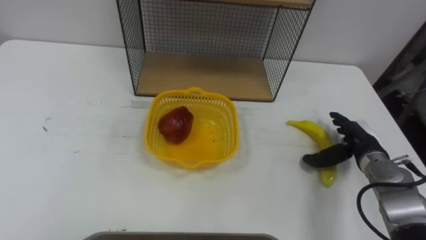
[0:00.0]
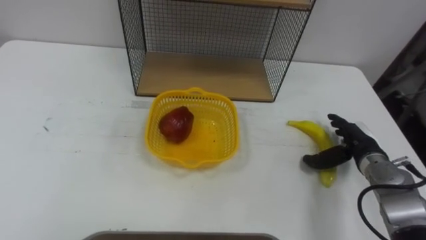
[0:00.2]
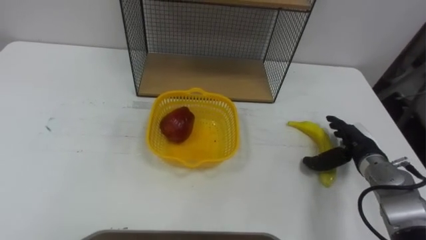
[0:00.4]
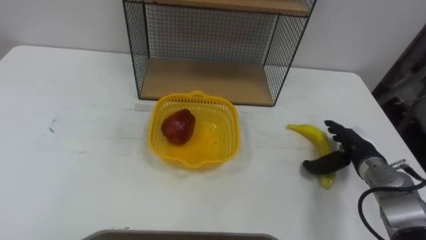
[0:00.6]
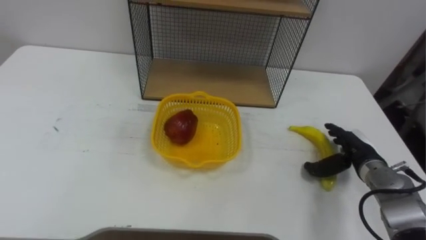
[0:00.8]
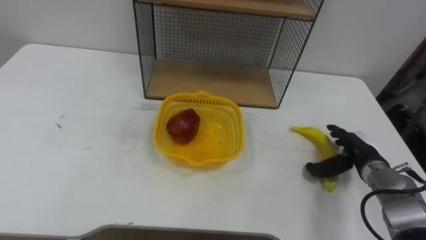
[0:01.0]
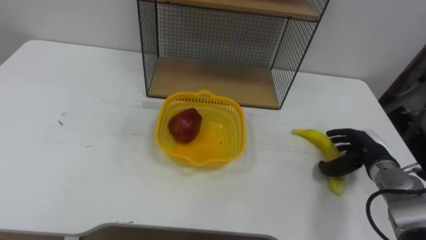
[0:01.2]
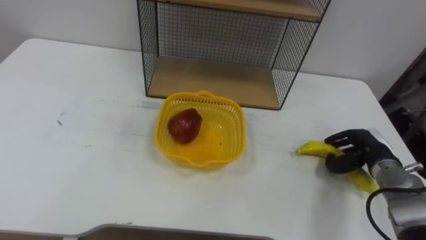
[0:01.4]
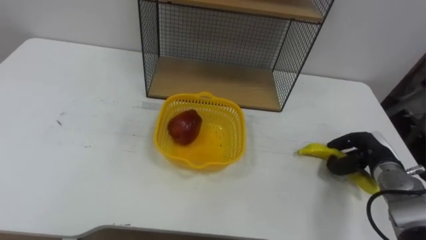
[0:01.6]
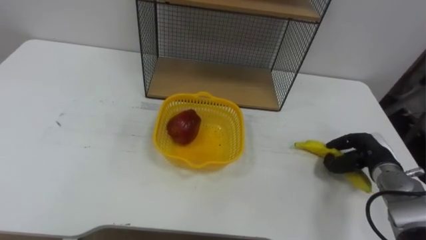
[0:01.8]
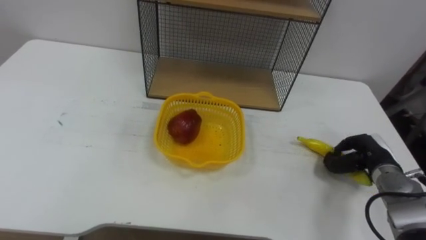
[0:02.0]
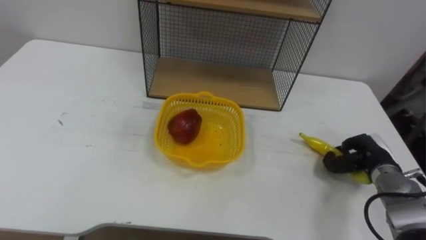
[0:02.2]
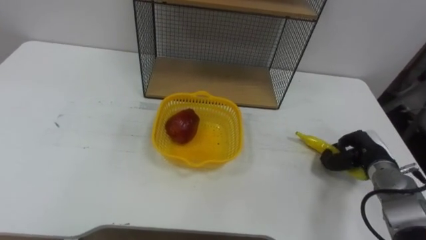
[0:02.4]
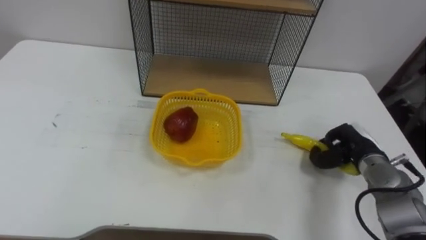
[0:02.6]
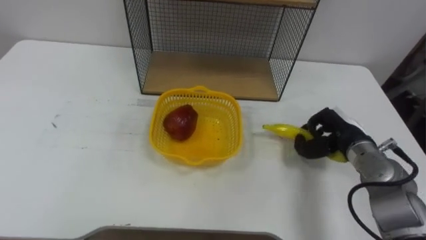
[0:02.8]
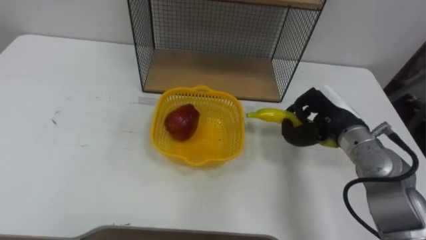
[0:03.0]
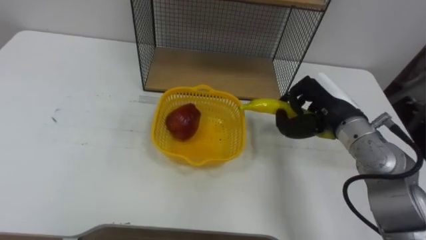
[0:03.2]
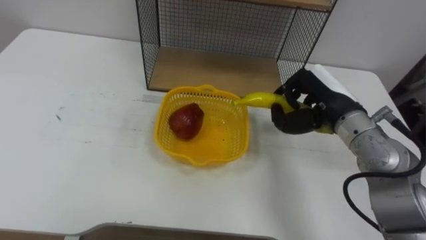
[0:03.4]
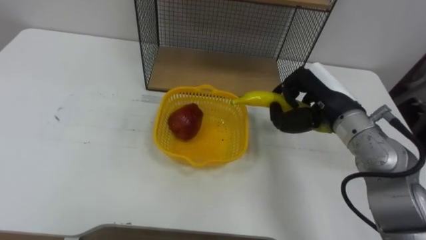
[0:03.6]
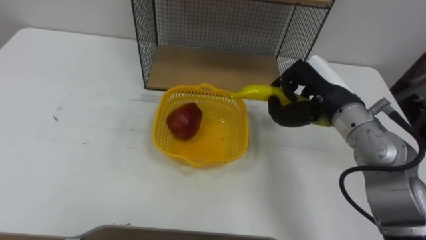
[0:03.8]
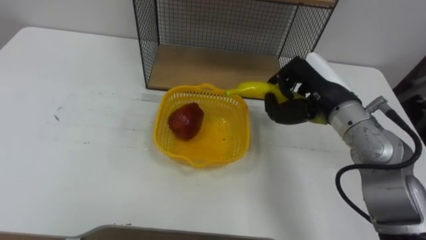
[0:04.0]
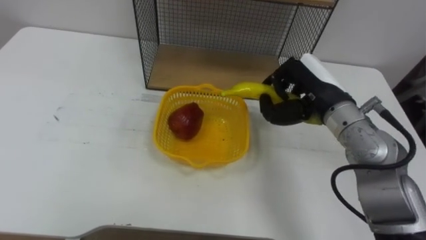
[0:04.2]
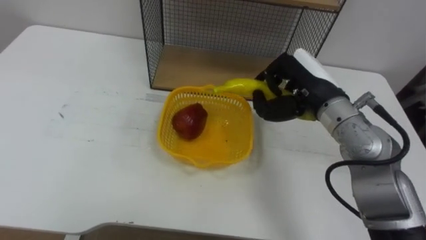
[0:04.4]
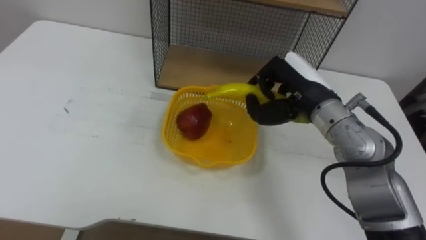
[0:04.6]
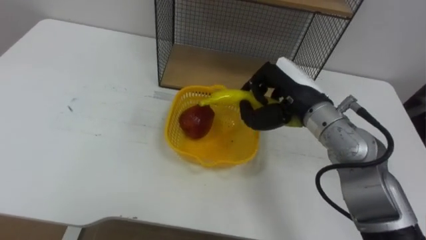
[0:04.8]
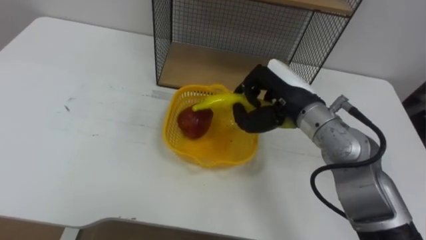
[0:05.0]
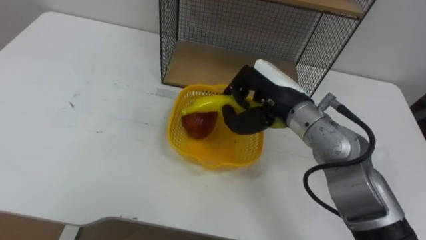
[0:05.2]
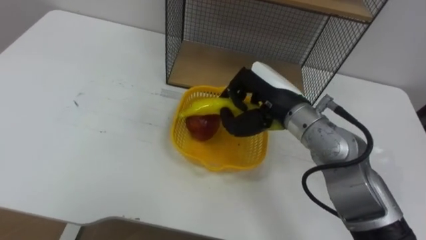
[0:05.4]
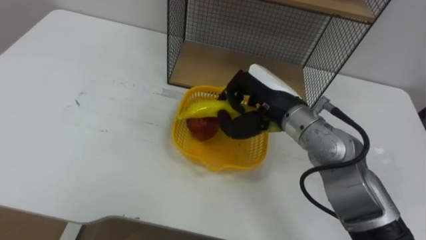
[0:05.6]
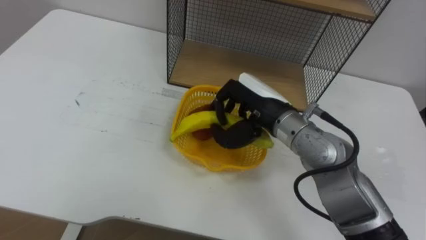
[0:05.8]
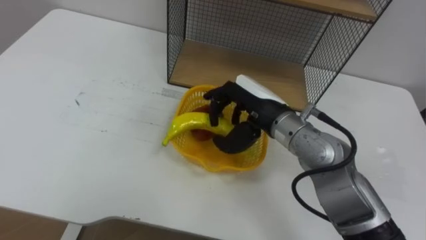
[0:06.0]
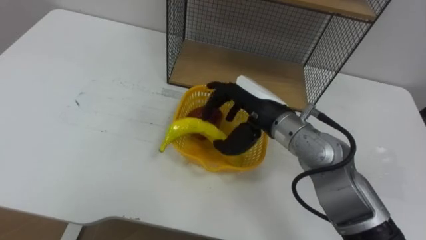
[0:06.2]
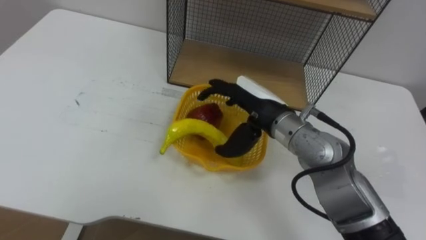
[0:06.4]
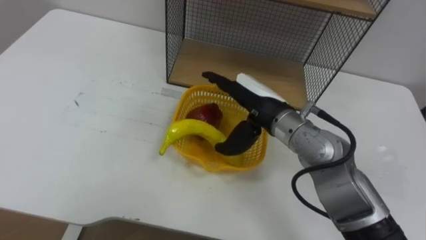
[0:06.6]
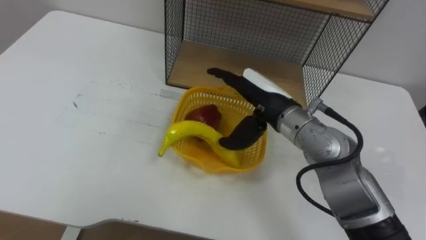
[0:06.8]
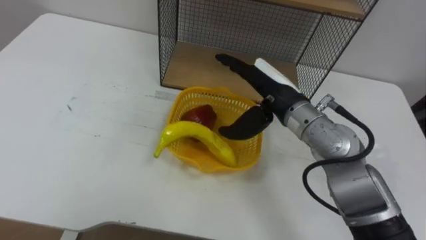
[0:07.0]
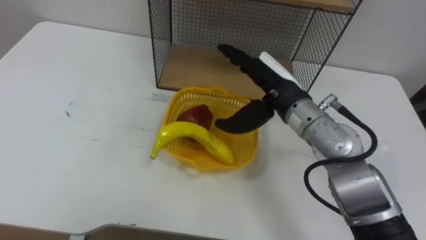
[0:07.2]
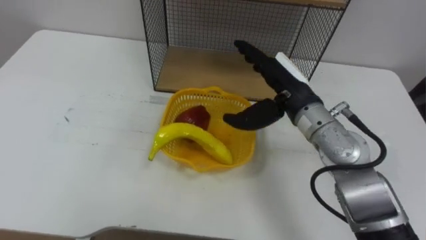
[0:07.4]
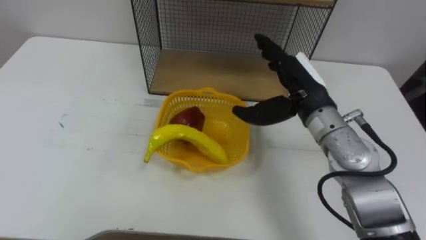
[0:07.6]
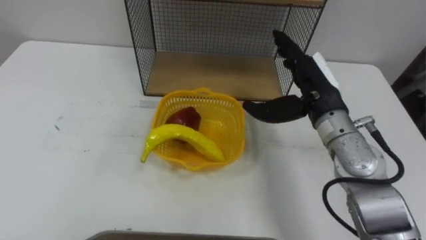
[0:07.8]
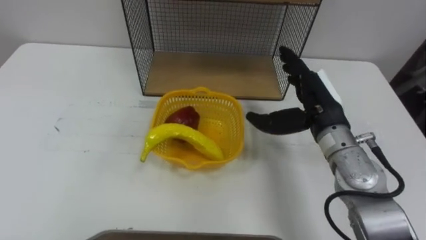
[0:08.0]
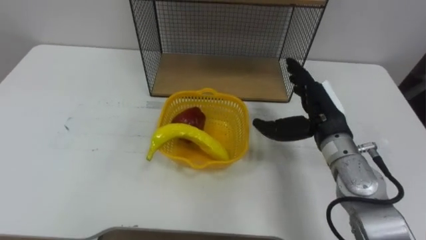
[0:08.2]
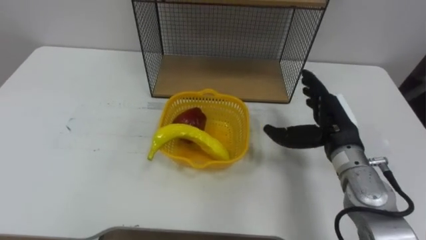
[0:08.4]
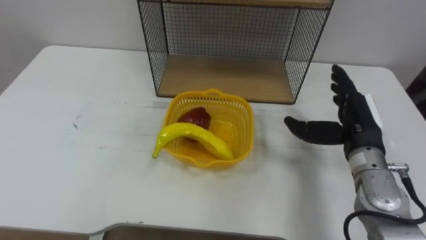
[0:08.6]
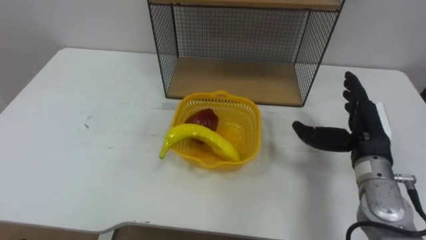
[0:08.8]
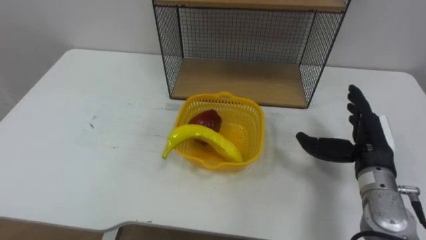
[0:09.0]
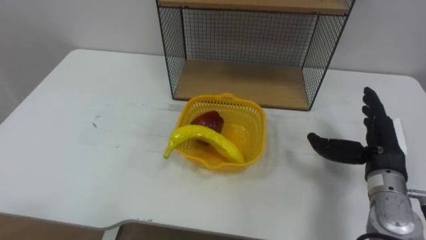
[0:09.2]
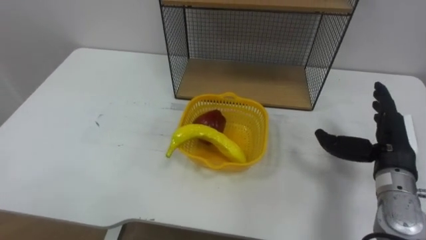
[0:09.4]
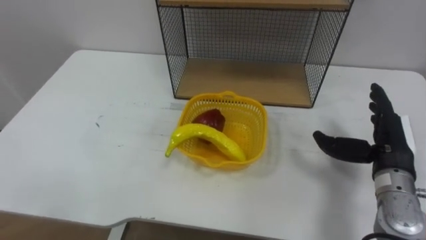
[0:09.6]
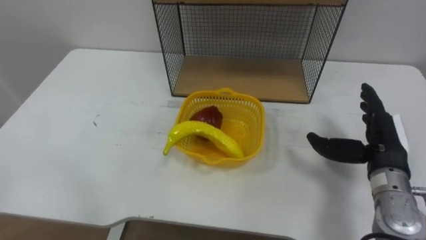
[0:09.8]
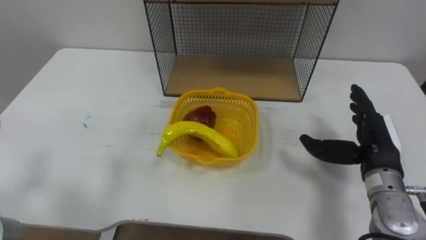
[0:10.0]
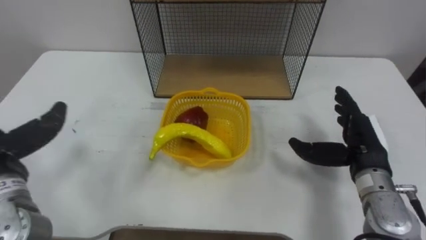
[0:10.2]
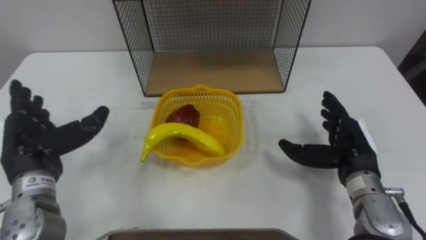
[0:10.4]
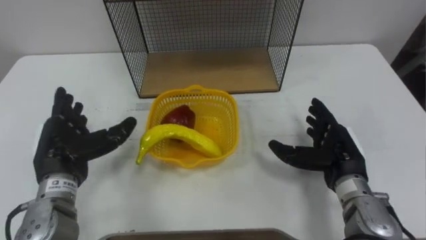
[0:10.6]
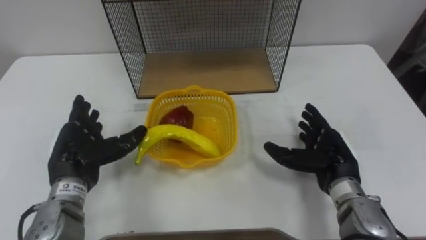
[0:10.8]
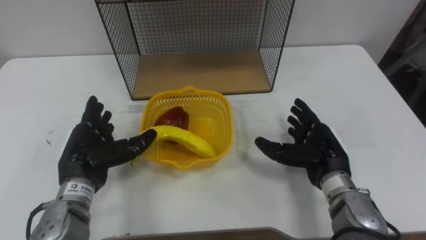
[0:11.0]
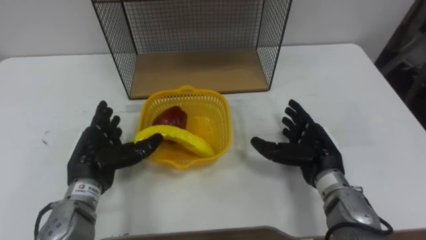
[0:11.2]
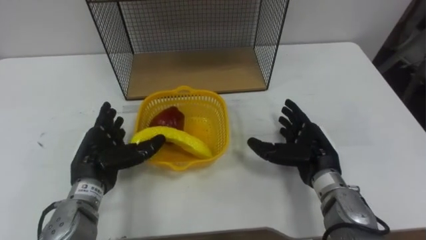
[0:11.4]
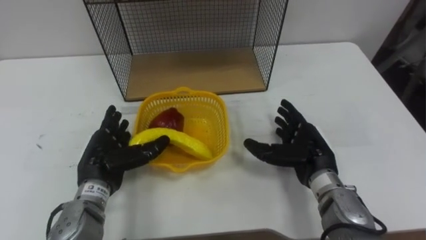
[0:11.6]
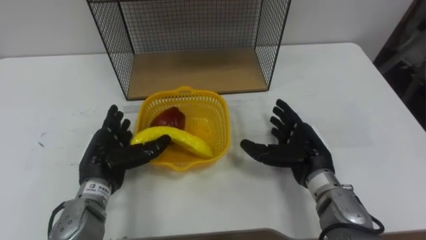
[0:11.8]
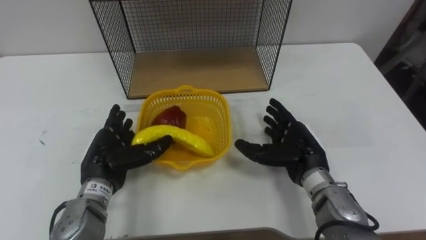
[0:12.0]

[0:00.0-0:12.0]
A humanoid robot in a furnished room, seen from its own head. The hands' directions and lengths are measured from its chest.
Task of the whole recording: Put the fruit on the table into the basket, then place the basket on the shelf.
0:00.0 to 0:01.6: The right hand closes.
0:01.6 to 0:03.0: The right hand heads upward and to the left, covering some 15 cm.
0:03.0 to 0:04.4: The right hand moves upward and to the left, some 10 cm.
0:04.4 to 0:06.0: The right hand heads to the left, covering approximately 10 cm.
0:06.0 to 0:07.6: The right hand is displaced to the right by roughly 5 cm, and opens up.
0:07.6 to 0:09.0: The right hand moves to the right, downward and backward, about 15 cm.
0:10.4 to 0:12.0: The right hand moves to the left, approximately 10 cm, while the left hand heads to the right and downward, covering about 10 cm.

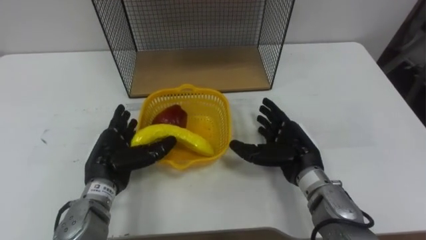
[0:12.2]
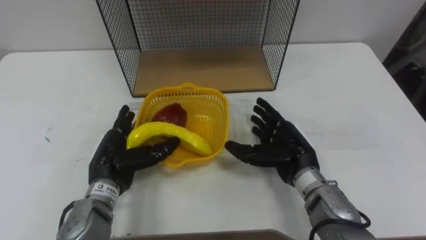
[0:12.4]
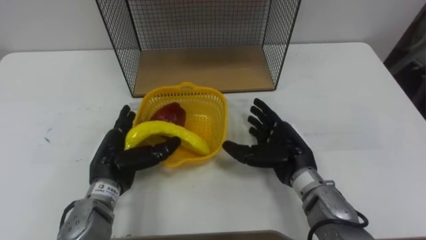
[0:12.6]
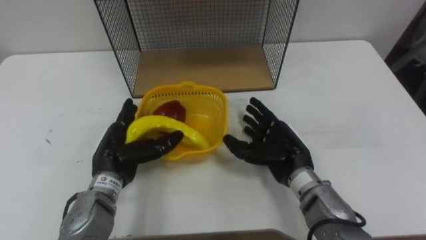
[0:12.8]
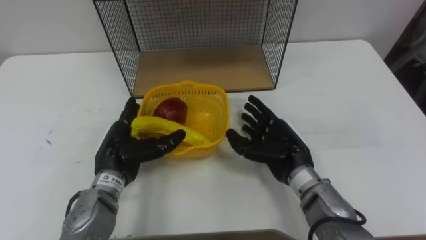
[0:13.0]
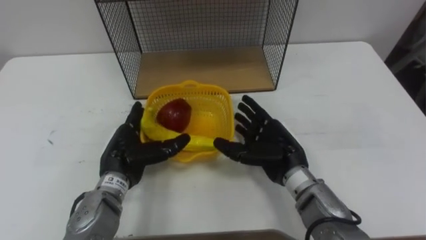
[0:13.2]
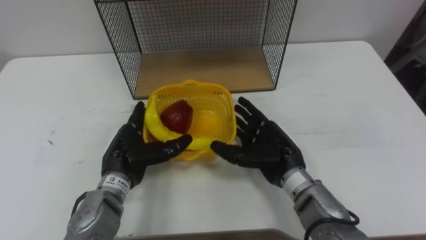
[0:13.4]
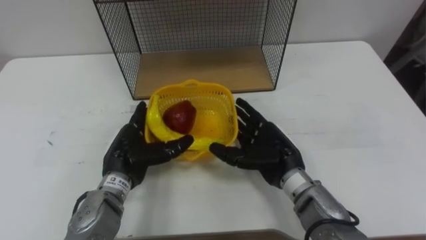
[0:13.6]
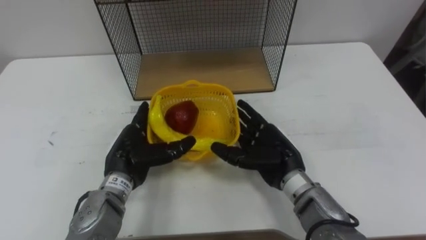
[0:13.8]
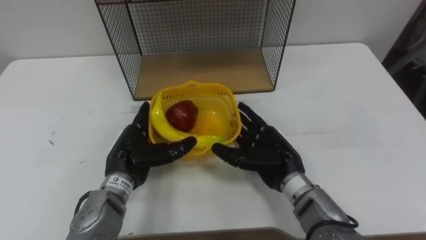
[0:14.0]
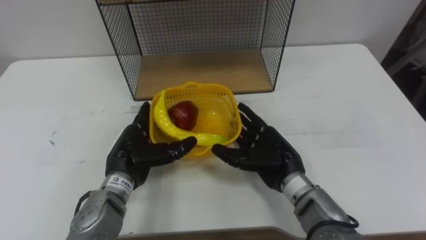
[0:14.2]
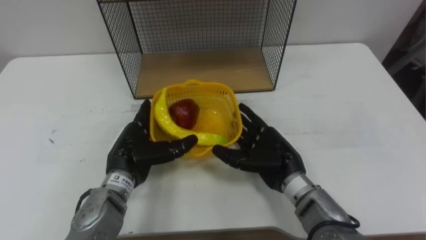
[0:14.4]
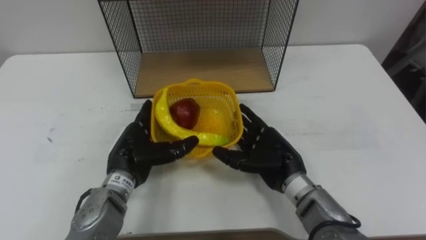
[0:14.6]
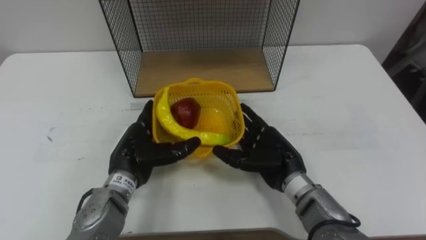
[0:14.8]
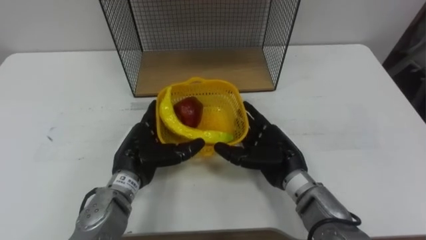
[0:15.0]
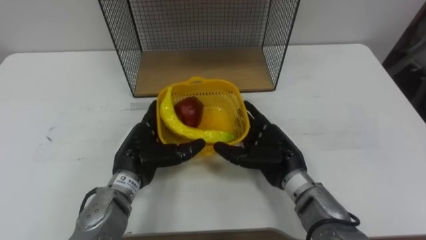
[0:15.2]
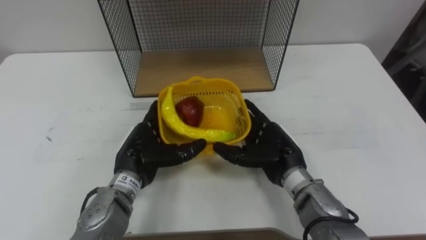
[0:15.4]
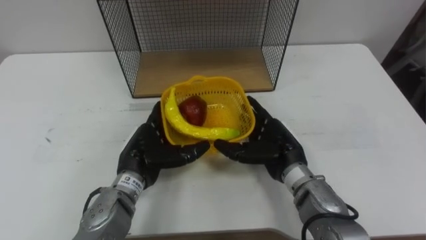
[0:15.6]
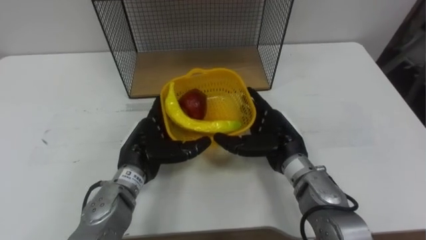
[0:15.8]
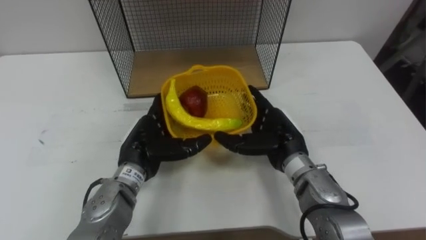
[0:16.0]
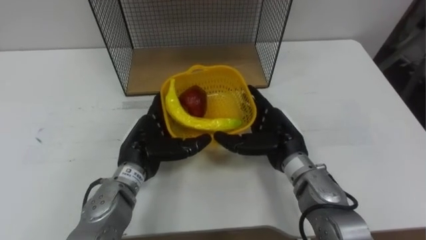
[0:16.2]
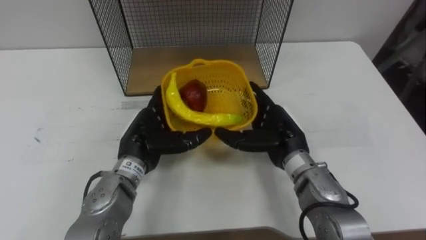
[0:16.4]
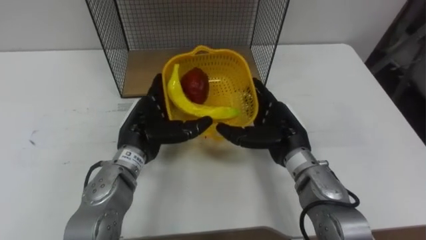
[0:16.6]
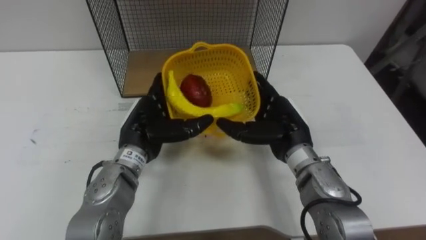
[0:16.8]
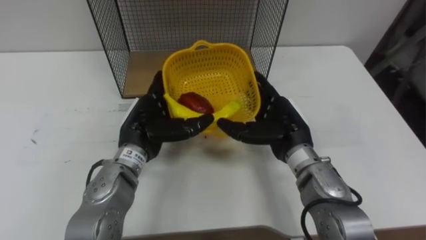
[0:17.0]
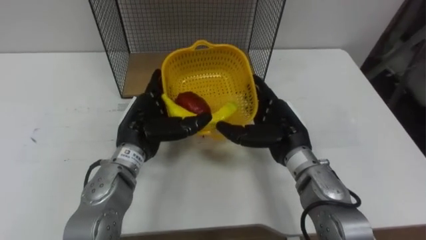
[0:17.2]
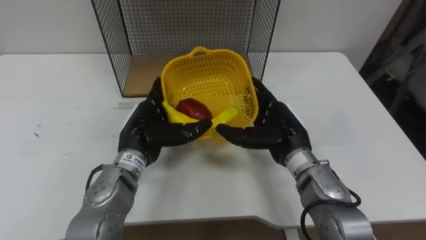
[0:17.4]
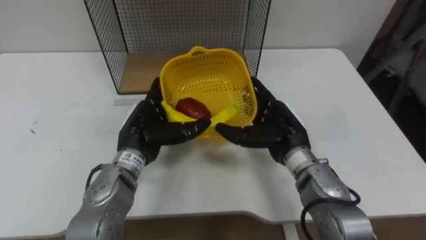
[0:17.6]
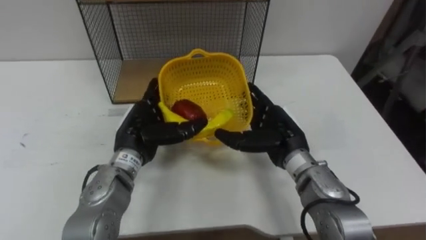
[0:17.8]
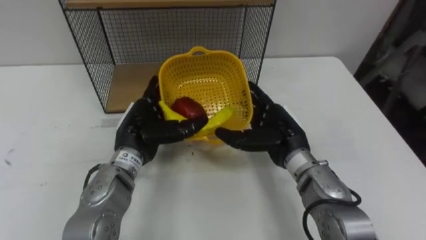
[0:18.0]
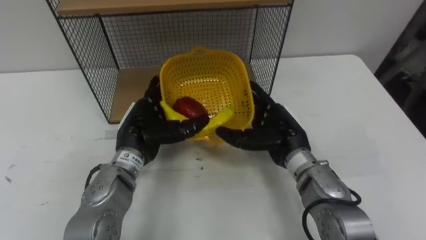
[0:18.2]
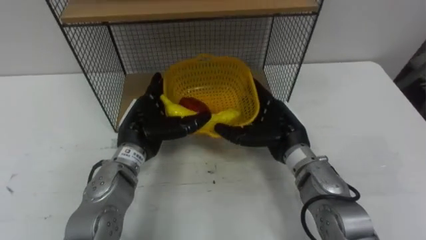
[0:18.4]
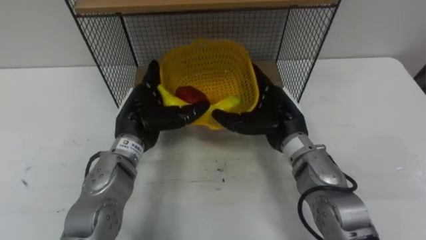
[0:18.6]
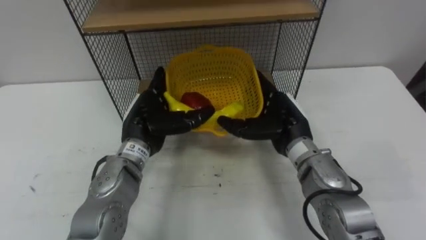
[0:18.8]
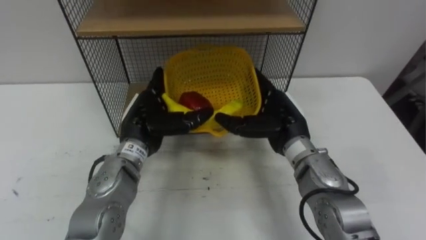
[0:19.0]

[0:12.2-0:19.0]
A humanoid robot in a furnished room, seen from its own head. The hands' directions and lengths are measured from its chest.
Task of the whole recording: Put the fruit on the table into the basket, then place the basket on the shelf.
0:13.6 to 0:16.2: The hands stay close to where they were, moving slightly.
